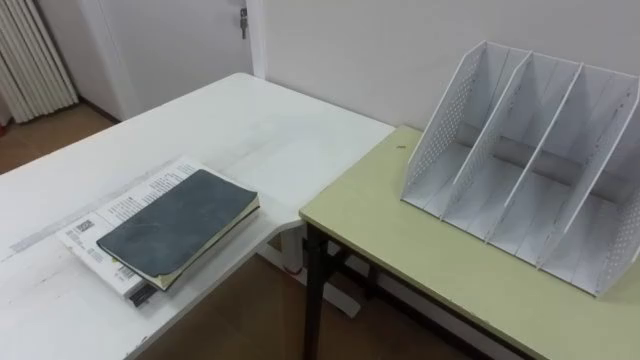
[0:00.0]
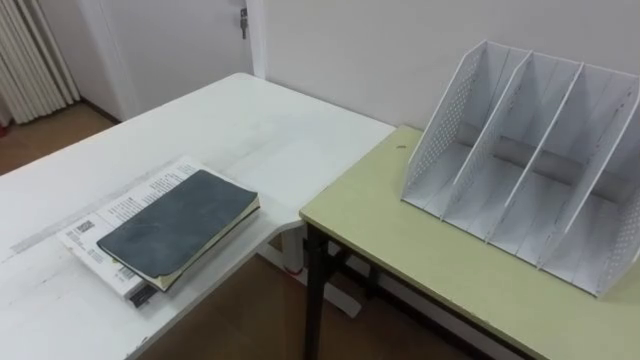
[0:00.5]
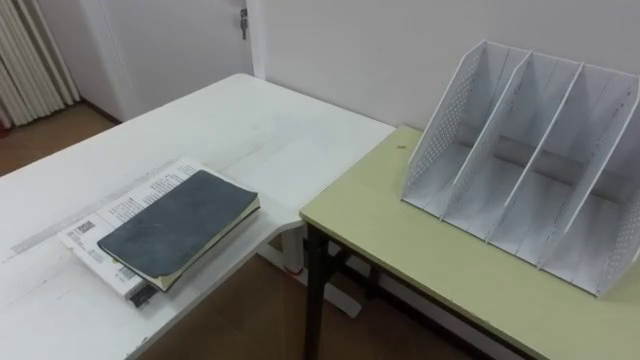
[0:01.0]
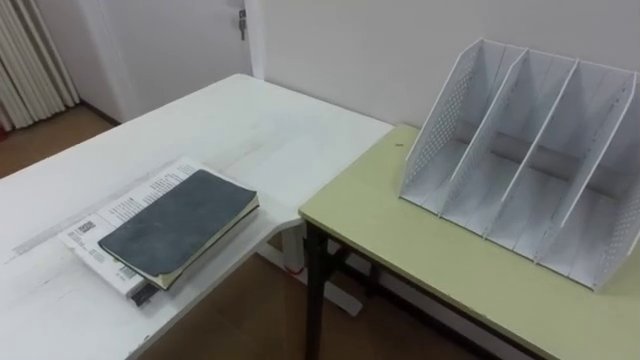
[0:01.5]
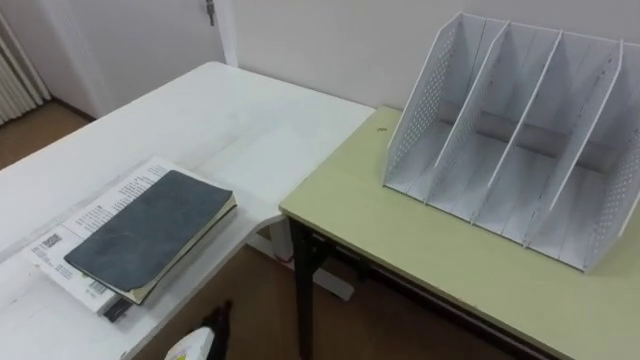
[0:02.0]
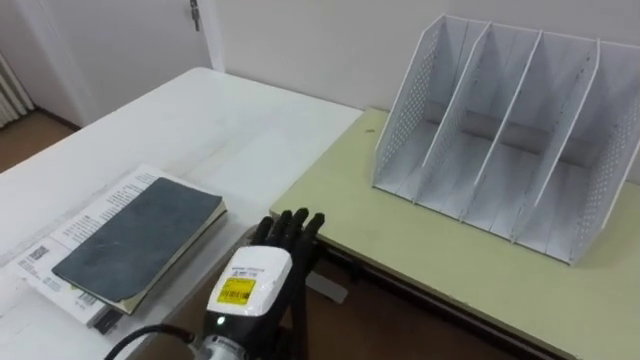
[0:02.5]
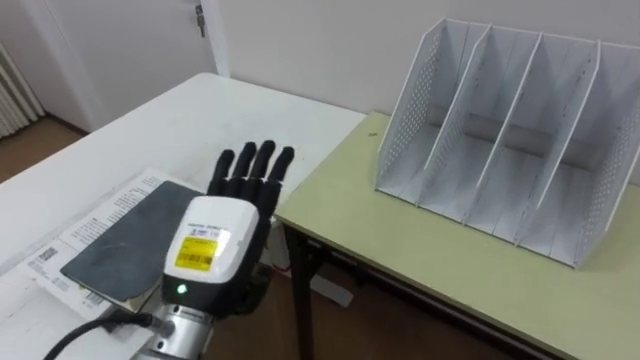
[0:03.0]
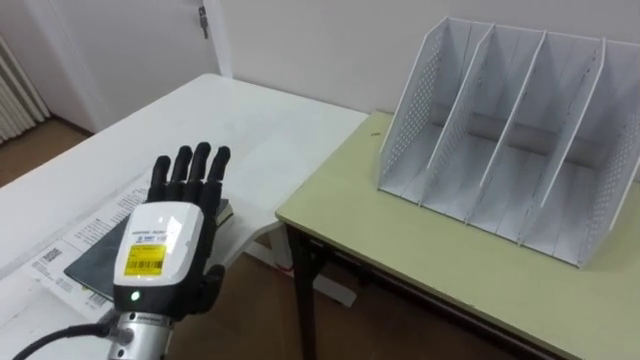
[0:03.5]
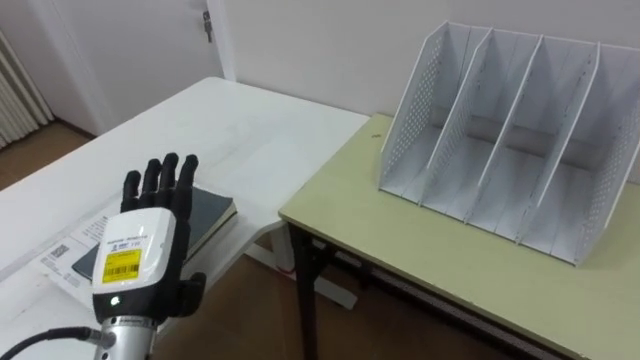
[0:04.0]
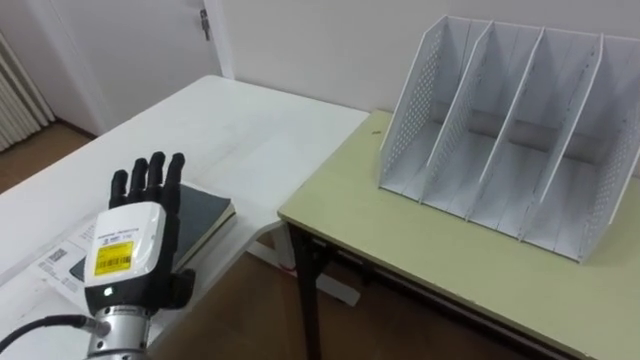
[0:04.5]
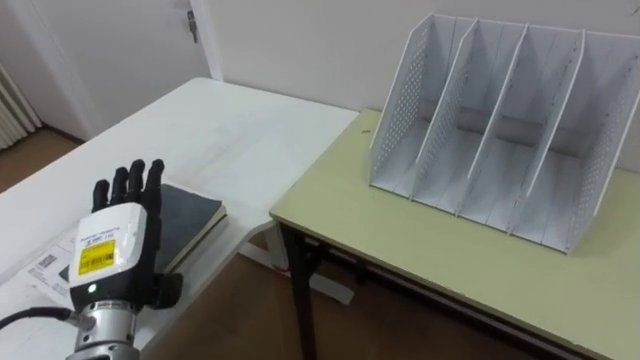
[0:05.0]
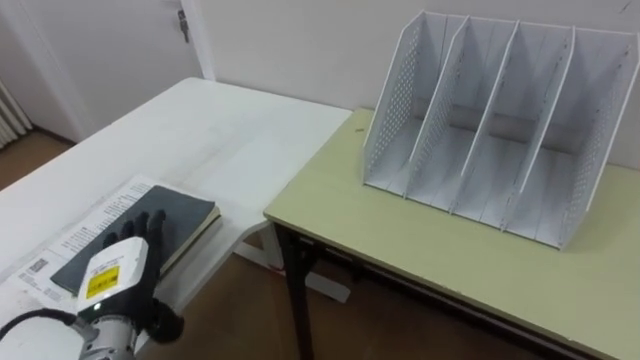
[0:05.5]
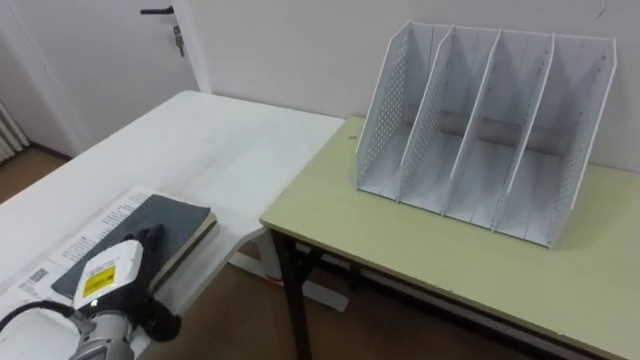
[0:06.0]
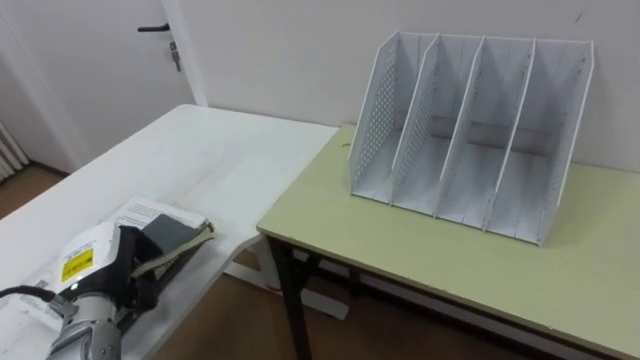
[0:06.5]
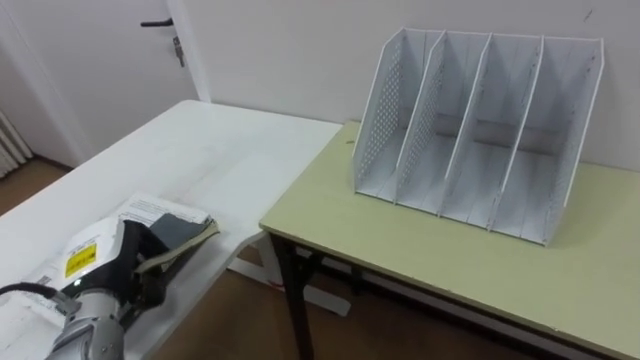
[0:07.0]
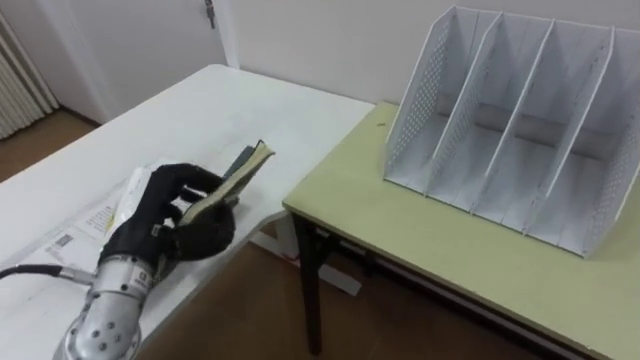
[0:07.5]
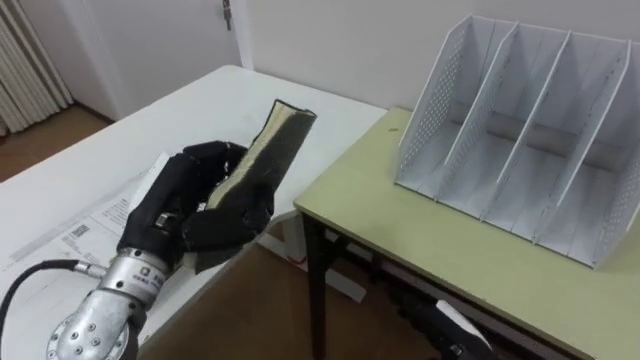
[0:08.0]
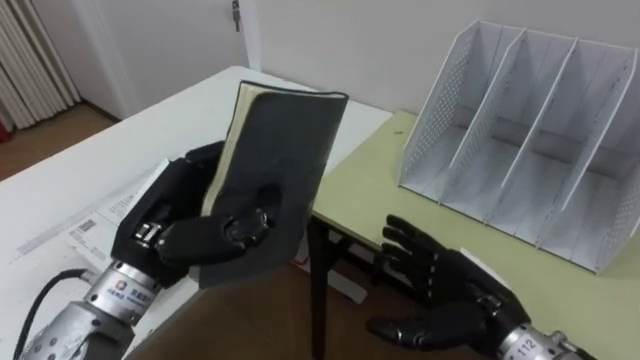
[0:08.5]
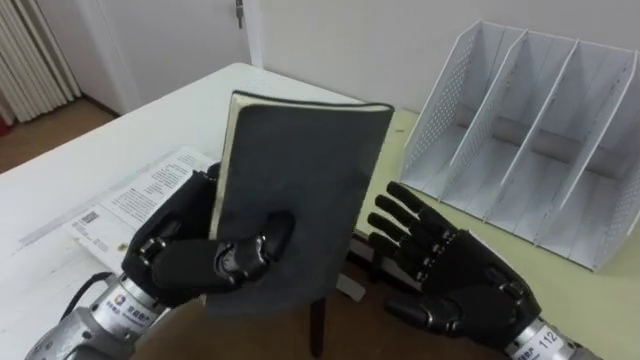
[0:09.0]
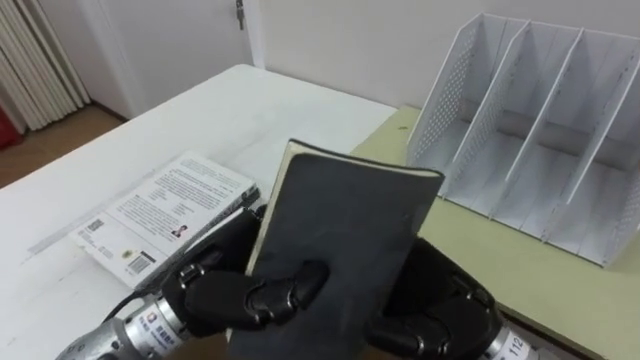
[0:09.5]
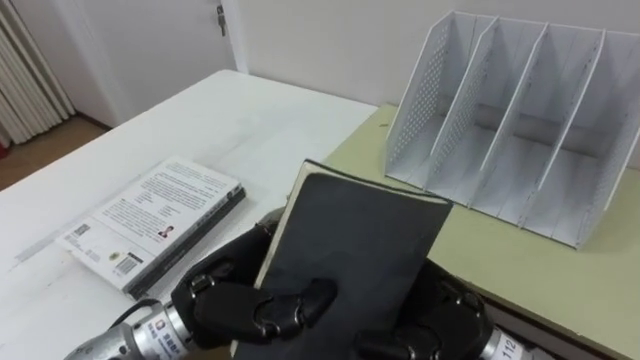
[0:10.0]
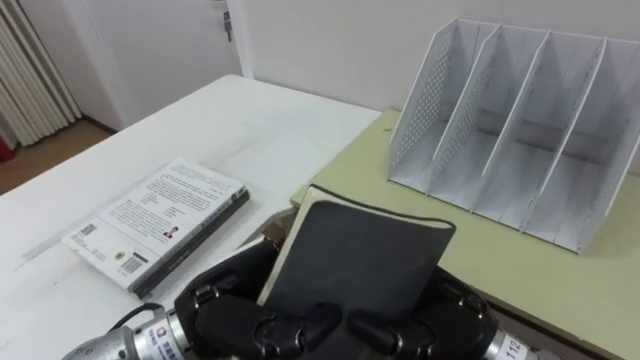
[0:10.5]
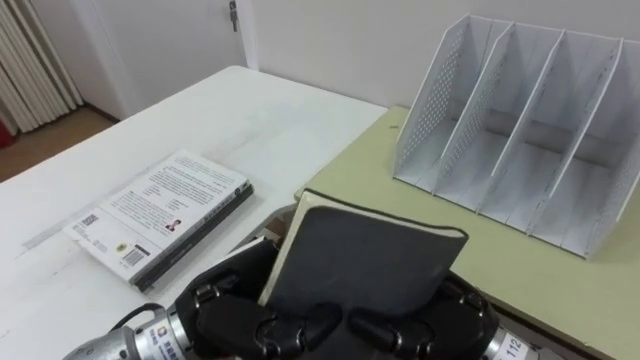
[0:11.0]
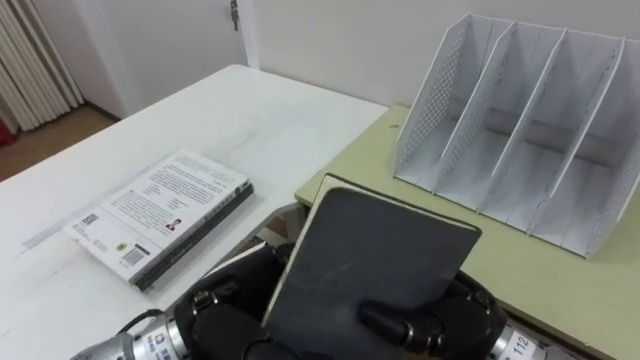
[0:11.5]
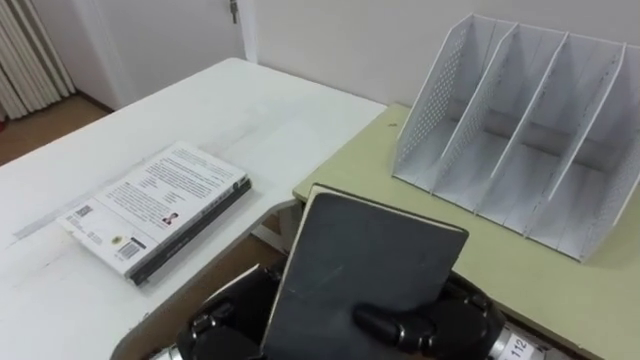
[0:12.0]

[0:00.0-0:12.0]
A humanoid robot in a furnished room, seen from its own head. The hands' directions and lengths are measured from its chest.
Task of the whole recording: Put the books on the table onto the bookshelf.
0:04.0 to 0:06.0: The left hand shifts some 10 cm downward and to the left.
0:06.0 to 0:08.0: The left hand heads upward and to the right, covering roughly 15 cm, and closes up.
0:08.0 to 0:10.0: The right hand moves upward and to the left, roughly 15 cm; the left hand travels to the right and backward by approximately 10 cm.
0:10.0 to 0:12.0: The left hand opens its fingers; the right hand closes up.
